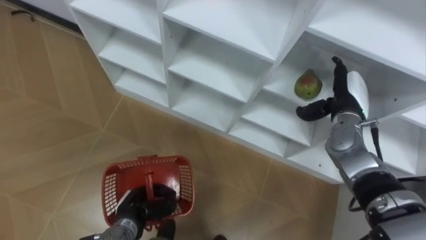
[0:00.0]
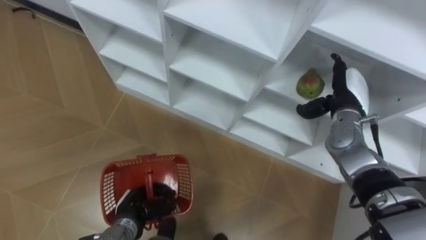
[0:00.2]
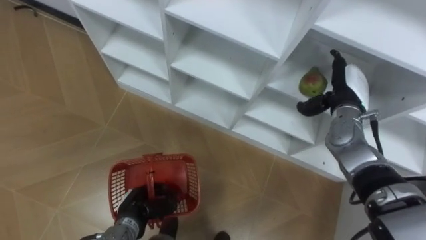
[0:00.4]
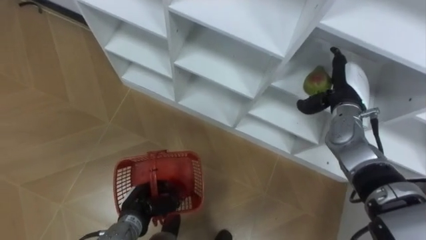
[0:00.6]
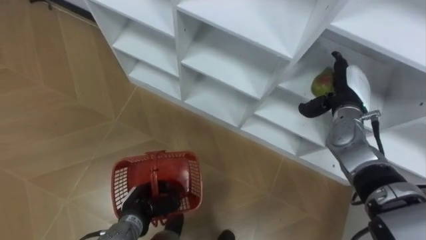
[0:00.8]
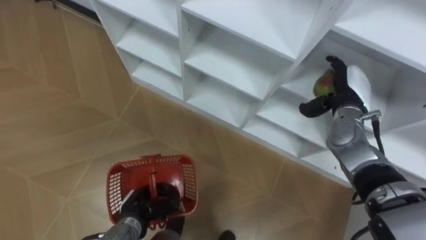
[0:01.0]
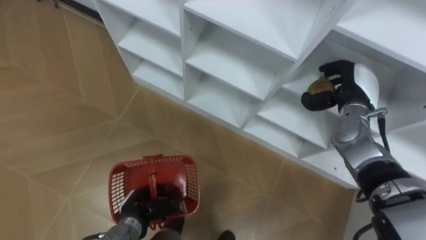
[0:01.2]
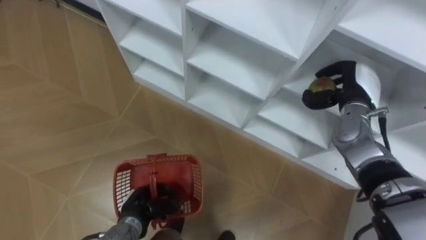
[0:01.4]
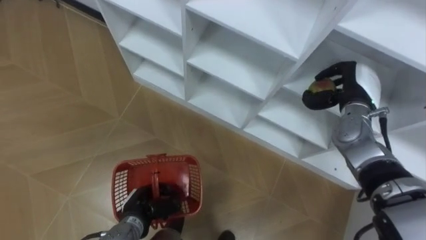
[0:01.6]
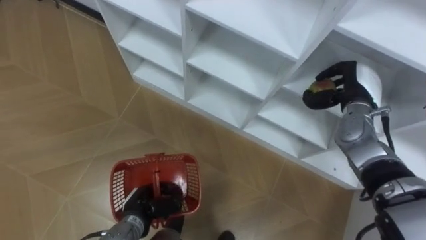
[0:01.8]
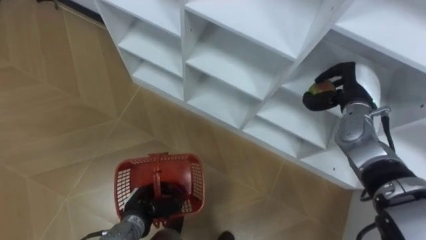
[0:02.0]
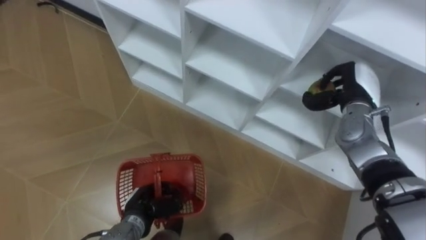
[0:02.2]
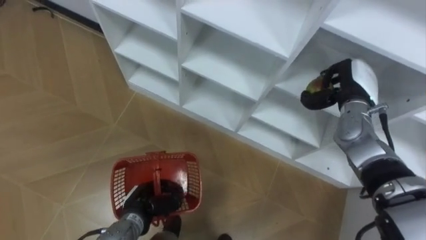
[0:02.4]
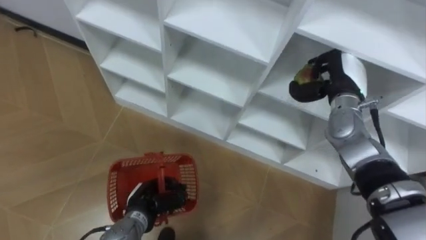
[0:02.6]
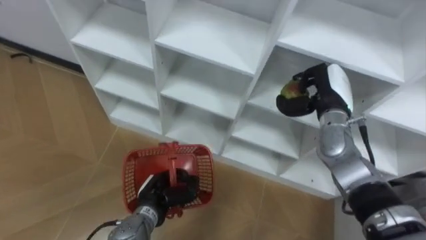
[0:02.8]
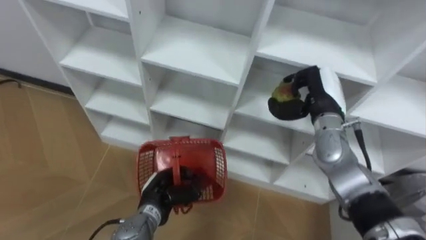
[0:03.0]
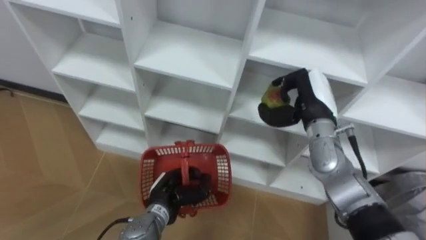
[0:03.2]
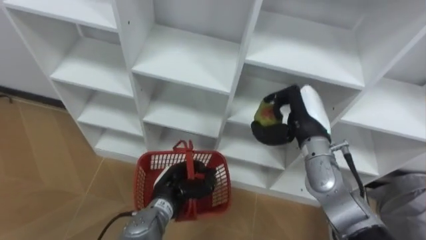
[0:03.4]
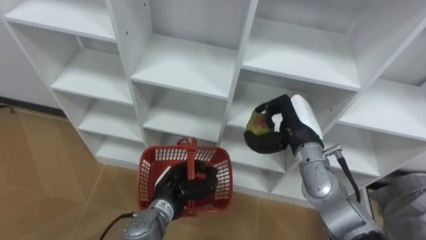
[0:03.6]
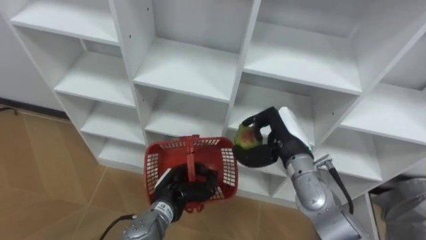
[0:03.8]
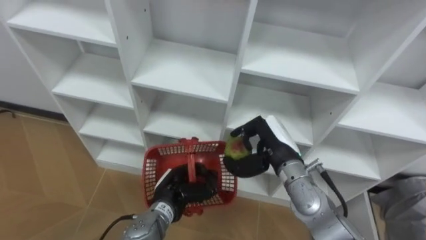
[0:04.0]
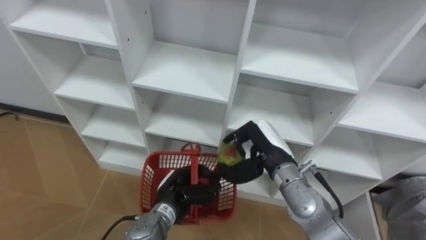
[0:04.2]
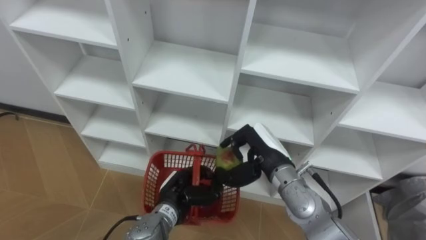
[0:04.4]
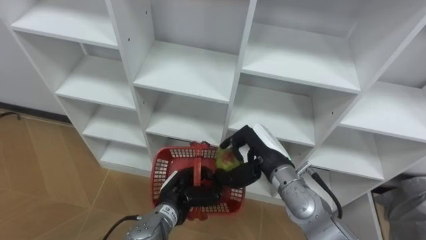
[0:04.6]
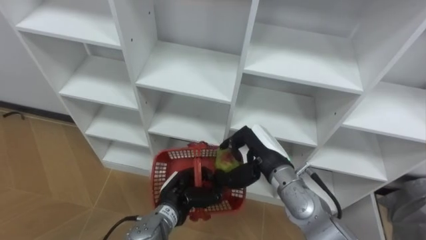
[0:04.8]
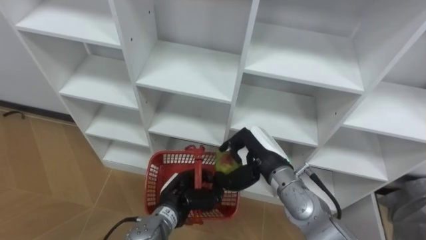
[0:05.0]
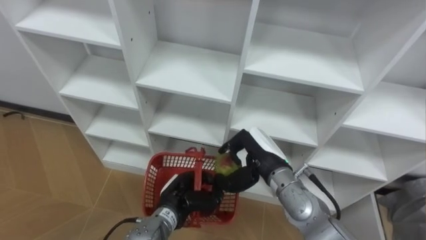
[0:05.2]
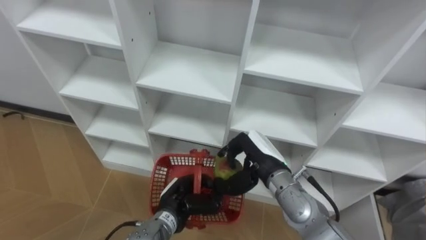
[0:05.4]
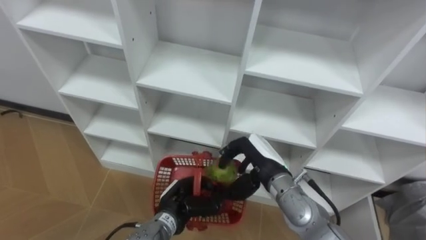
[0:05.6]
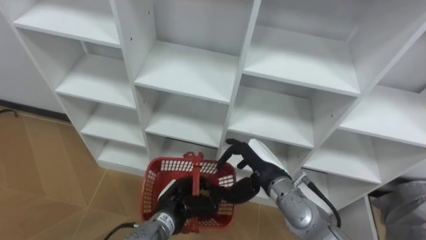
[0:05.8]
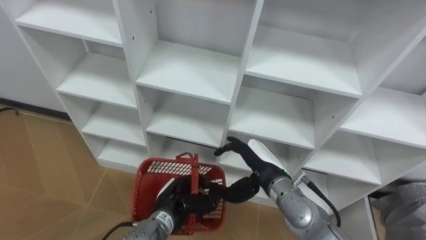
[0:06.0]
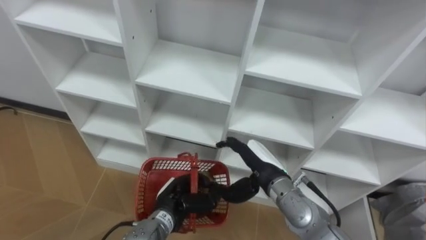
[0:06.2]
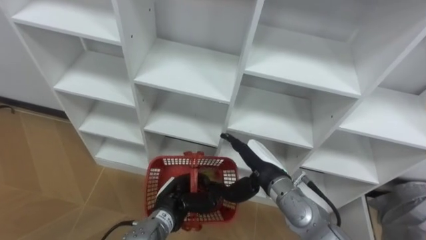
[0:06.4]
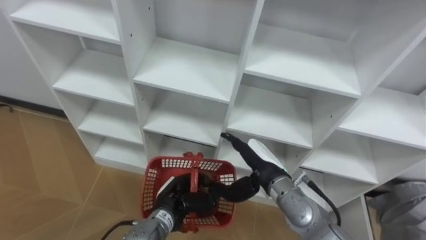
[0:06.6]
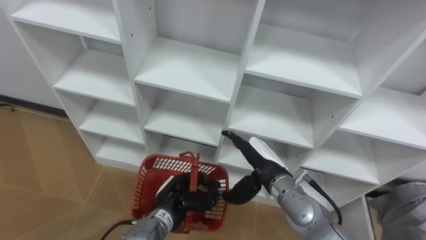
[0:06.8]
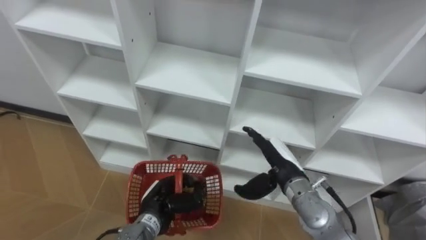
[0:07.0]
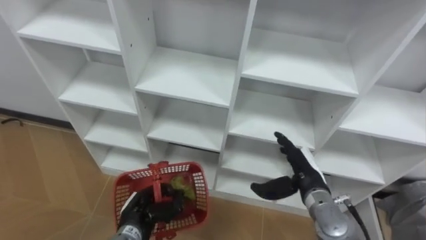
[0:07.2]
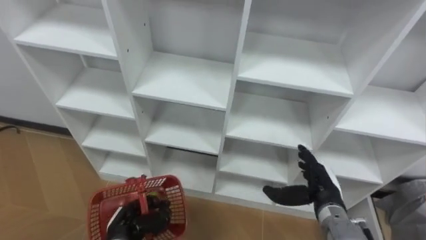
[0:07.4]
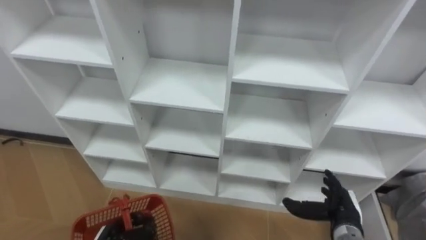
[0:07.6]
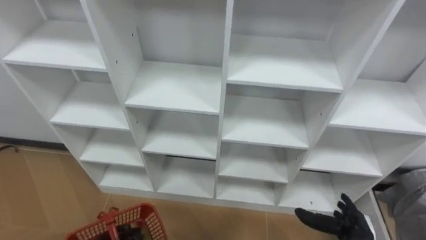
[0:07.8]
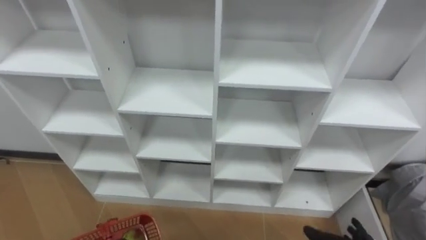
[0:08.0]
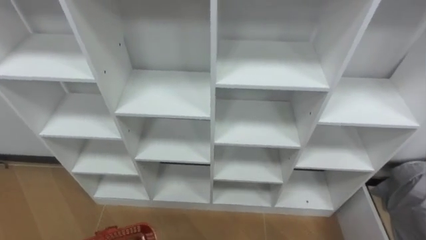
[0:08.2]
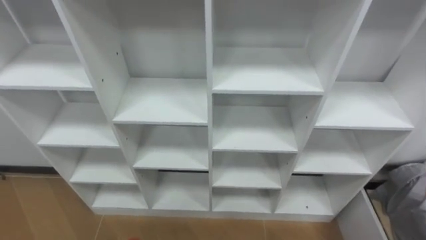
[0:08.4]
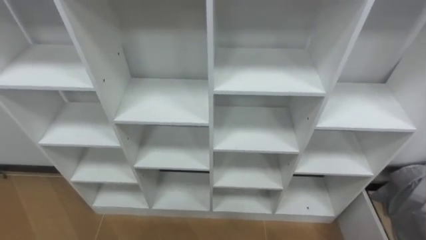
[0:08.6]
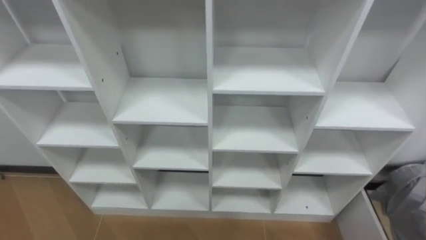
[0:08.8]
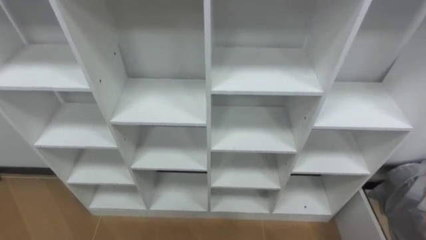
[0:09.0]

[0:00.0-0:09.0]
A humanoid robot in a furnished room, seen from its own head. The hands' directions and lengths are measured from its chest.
Task of the whole recording: Hold the basket and collect the fruits from 3 different cells of the closet into it.
0.0 to 1.6 s: The right hand closes up.
1.6 to 3.0 s: The left hand changes place by roughly 5 cm, while the right hand heads to the left, covering about 5 cm.
3.0 to 4.4 s: The right hand moves to the left, backward and downward, roughly 15 cm.
4.4 to 6.0 s: The right hand opens up.
6.0 to 7.6 s: The right hand heads to the right, downward and backward, covering some 20 cm. The left hand is displaced to the left, backward and downward by roughly 15 cm.

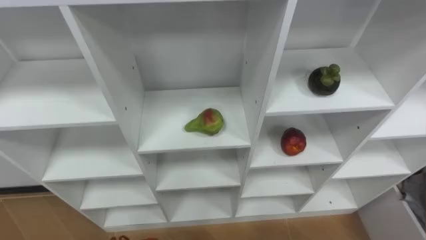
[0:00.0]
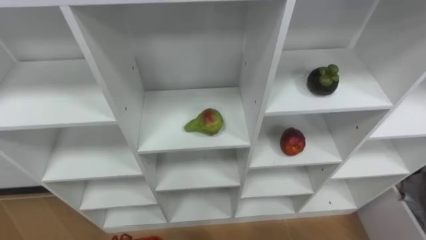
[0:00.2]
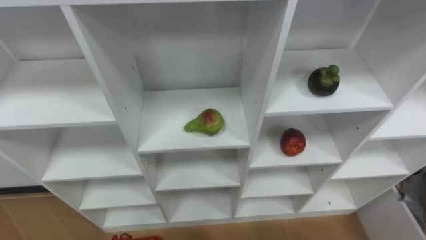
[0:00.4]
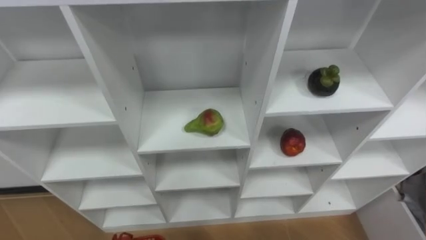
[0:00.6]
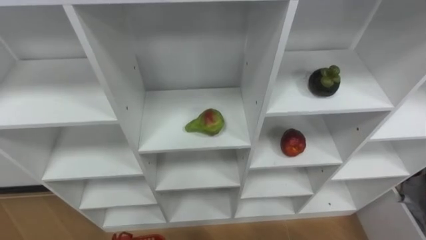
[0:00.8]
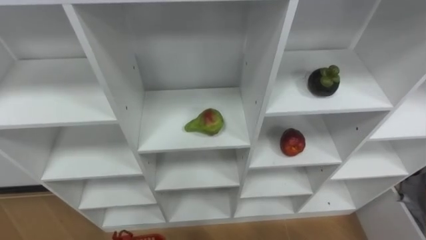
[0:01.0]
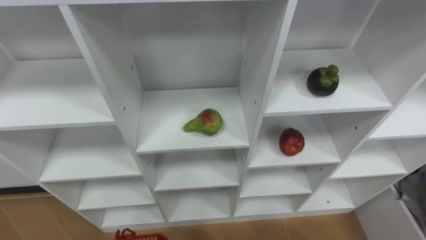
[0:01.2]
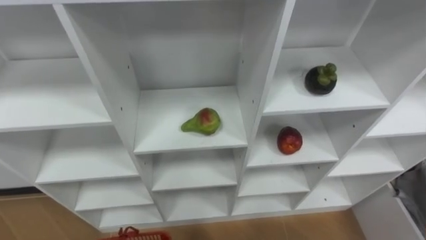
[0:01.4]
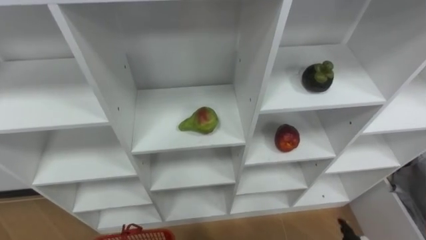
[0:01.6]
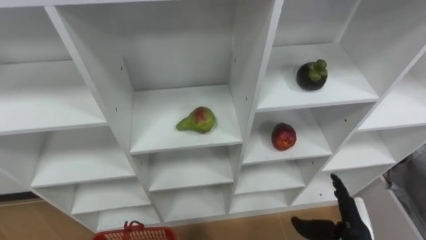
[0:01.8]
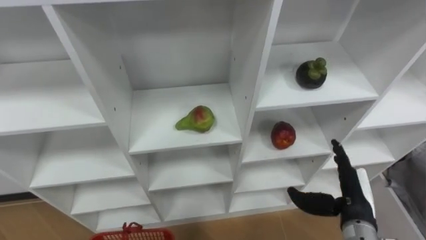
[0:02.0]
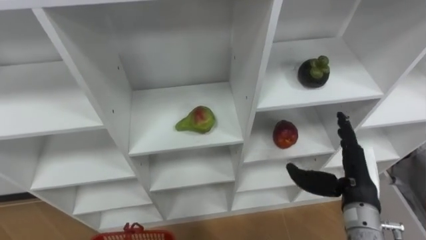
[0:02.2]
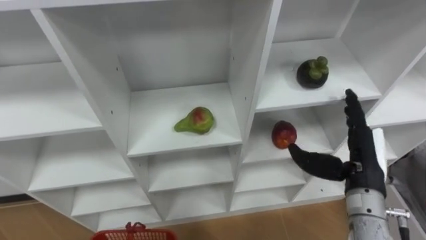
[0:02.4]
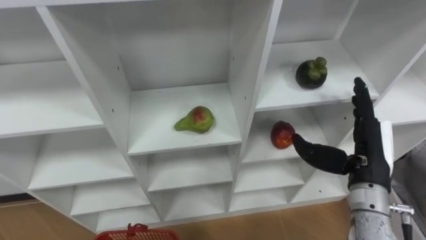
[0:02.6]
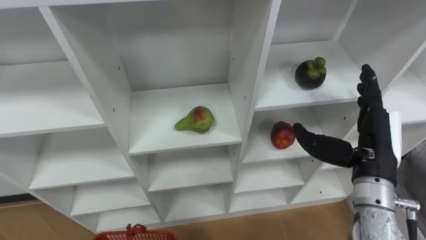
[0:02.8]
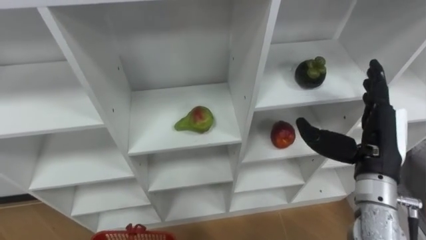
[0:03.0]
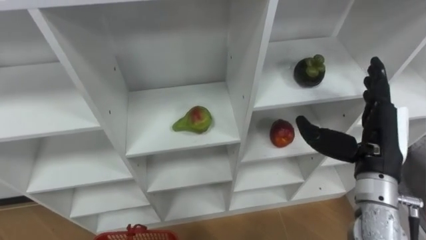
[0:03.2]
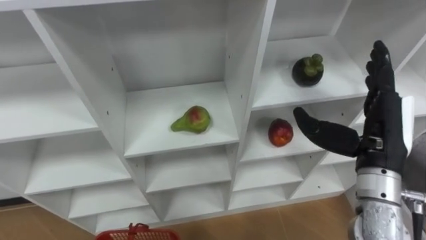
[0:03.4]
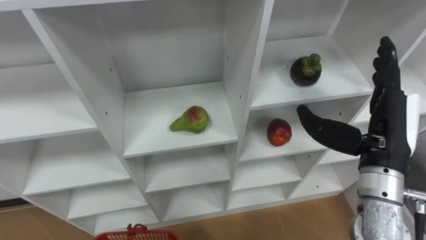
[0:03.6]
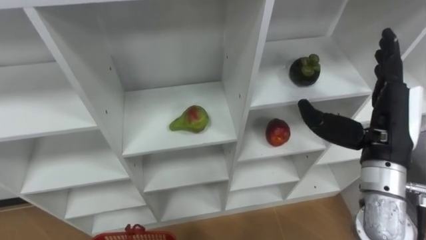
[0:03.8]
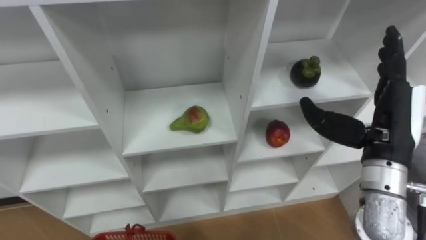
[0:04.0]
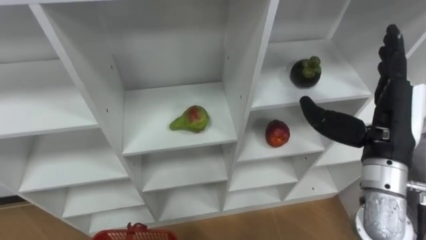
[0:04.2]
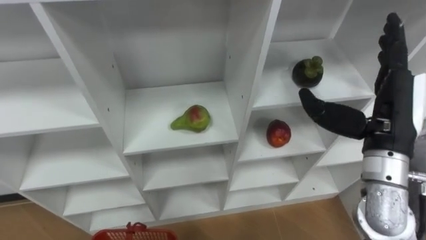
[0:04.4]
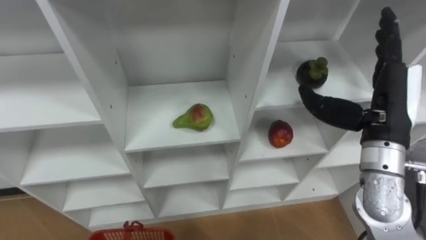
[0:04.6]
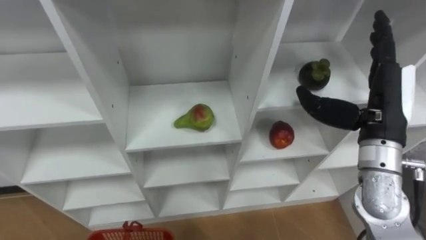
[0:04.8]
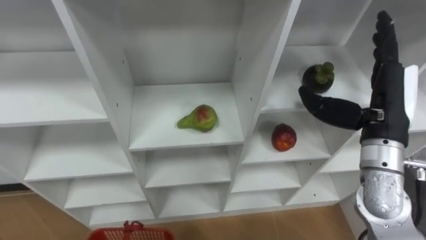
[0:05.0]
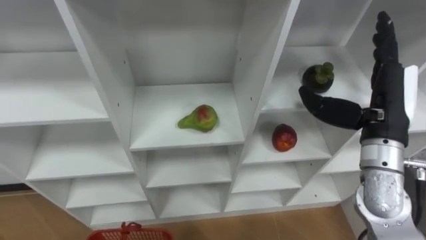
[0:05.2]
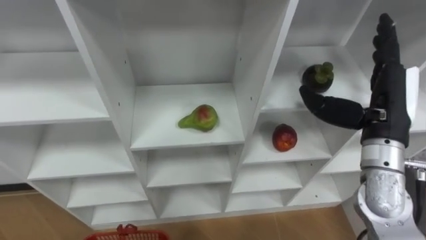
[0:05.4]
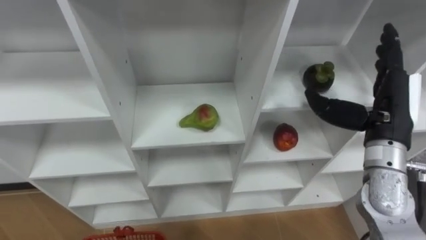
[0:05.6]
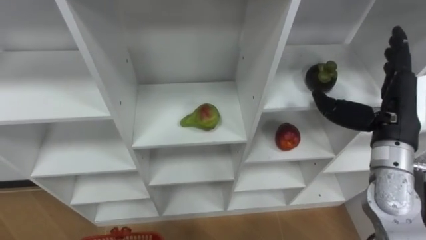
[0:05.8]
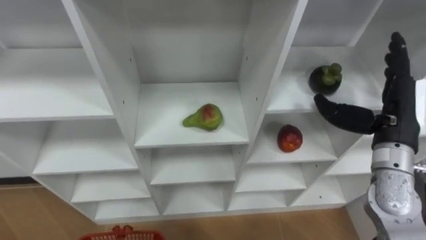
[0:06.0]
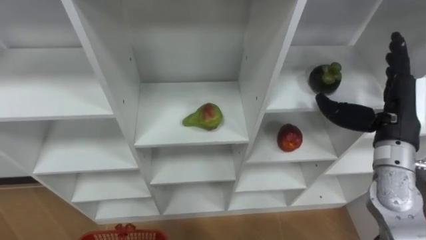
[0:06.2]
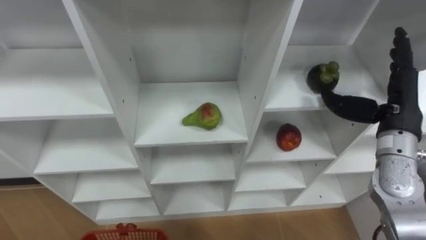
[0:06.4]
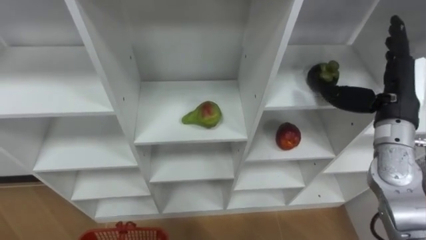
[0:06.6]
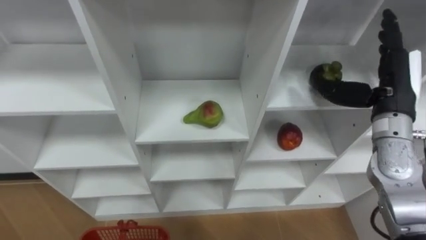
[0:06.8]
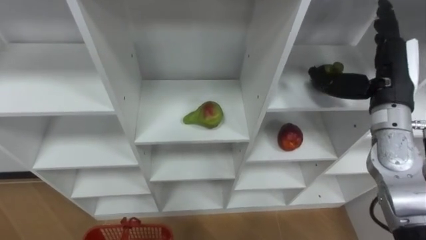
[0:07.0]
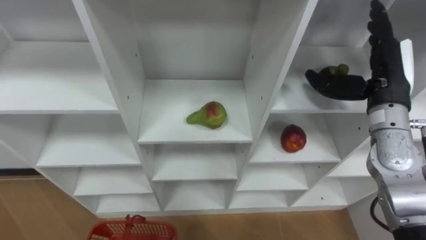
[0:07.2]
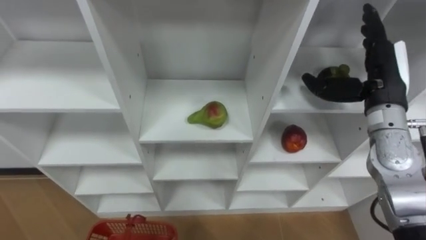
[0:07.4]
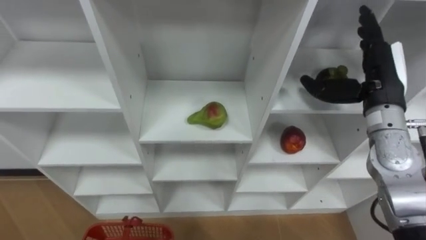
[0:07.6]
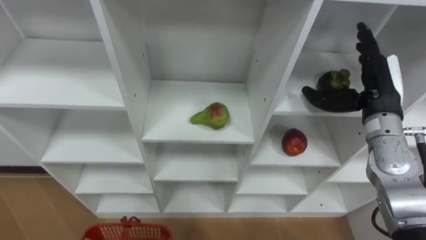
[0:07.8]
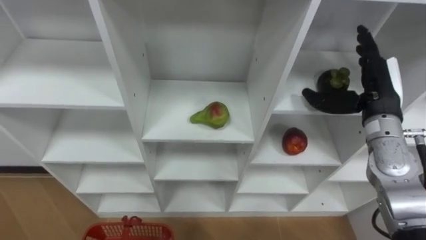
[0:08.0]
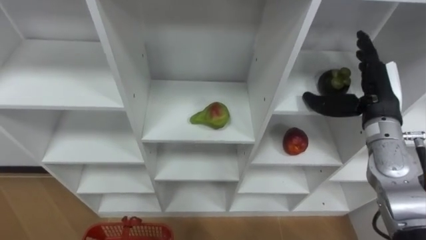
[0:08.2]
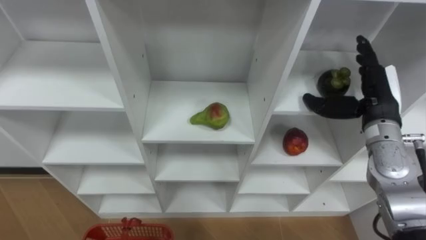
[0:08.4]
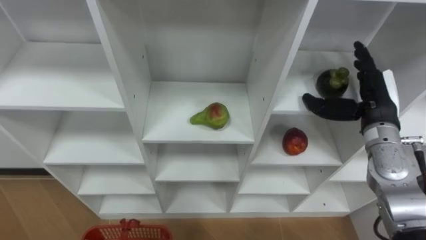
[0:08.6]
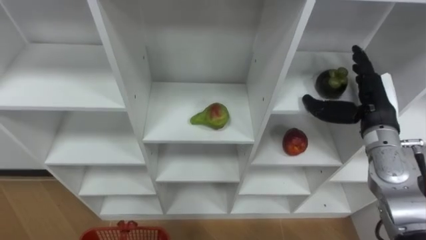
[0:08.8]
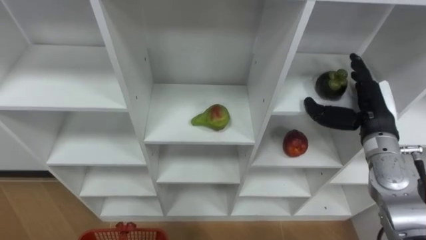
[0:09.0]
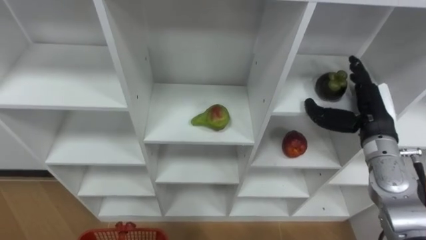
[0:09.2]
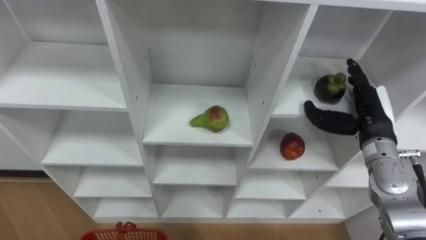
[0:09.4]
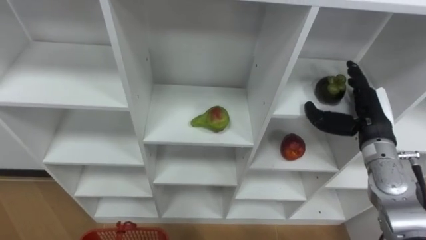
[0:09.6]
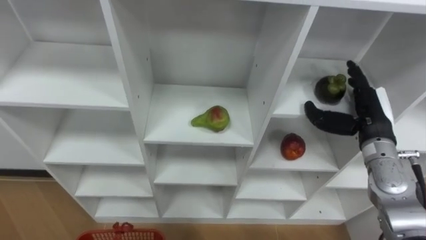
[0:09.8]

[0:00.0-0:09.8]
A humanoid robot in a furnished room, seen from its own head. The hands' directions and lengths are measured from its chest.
Task of the whole recording: Hold the basket and collect the fruits from 3 different cells of the closet into it.
2.8 to 4.2 s: The right hand is displaced upward by roughly 5 cm.
5.6 to 7.0 s: The right hand goes roughly 5 cm forward.
7.0 to 8.4 s: The right hand goes about 5 cm downward.
